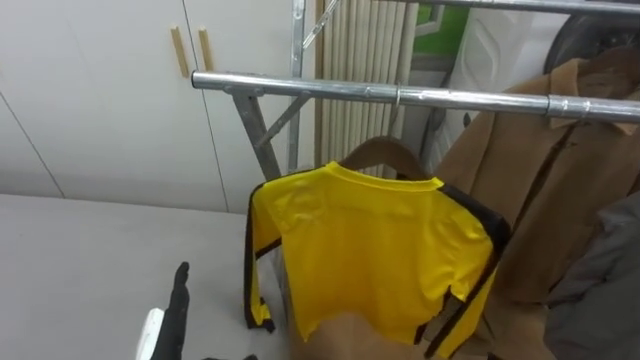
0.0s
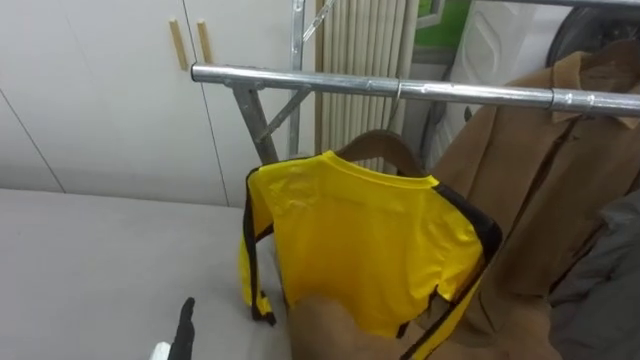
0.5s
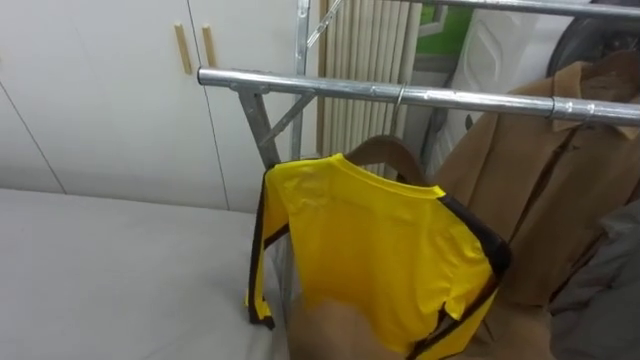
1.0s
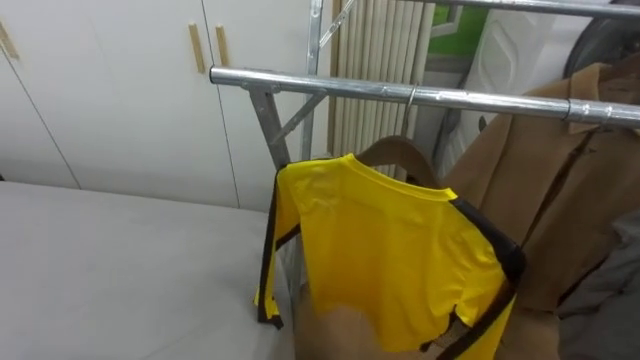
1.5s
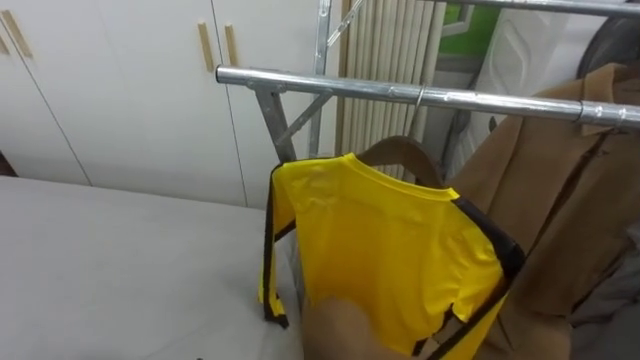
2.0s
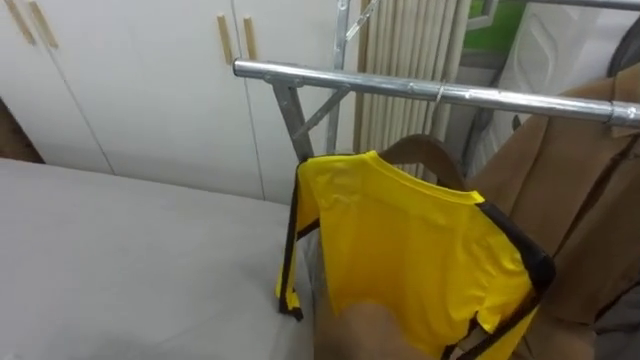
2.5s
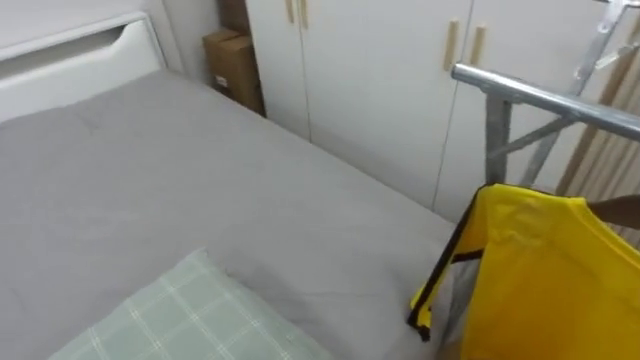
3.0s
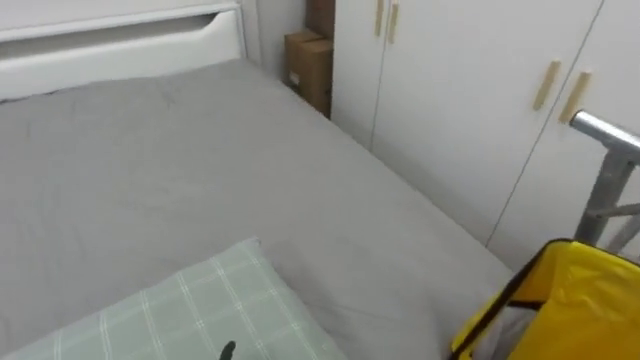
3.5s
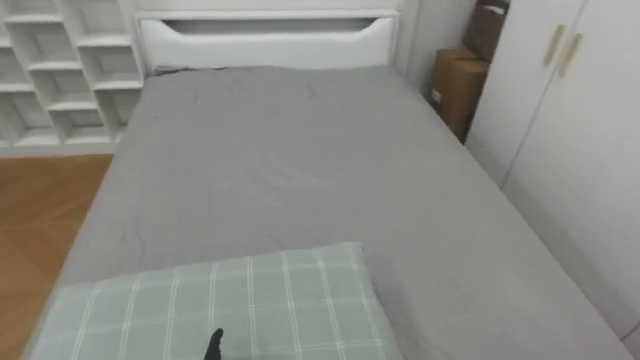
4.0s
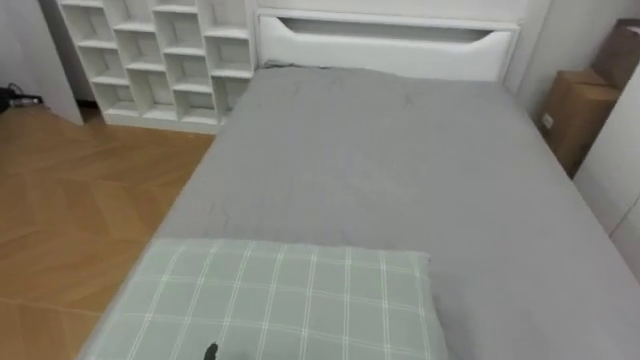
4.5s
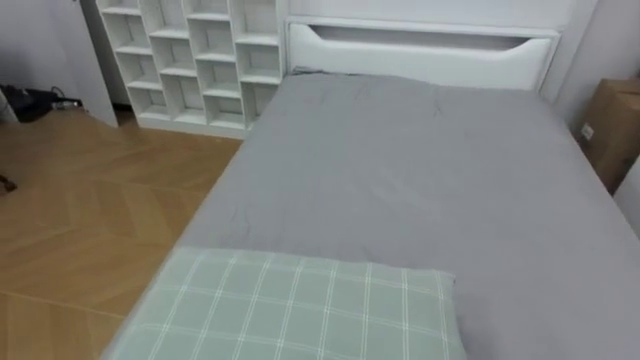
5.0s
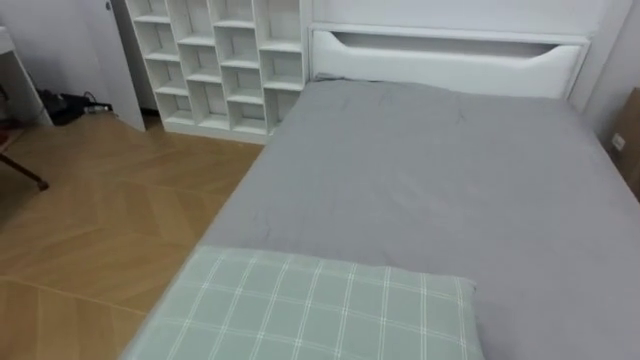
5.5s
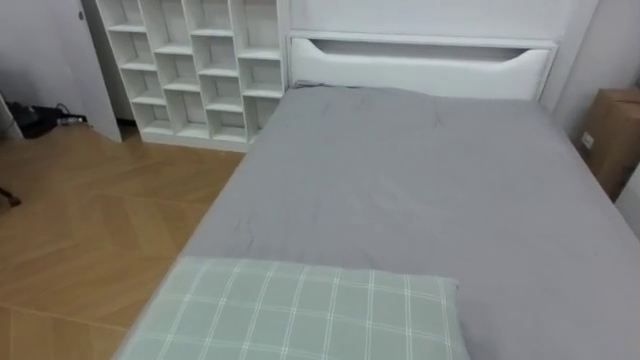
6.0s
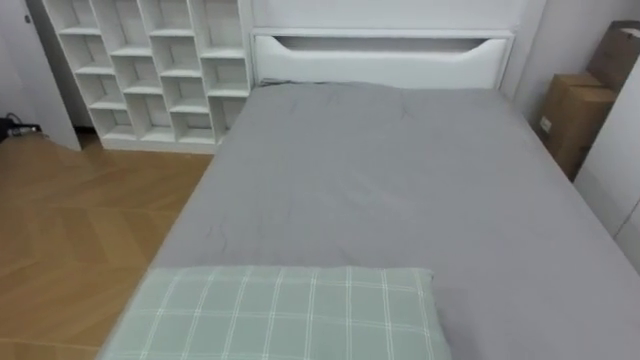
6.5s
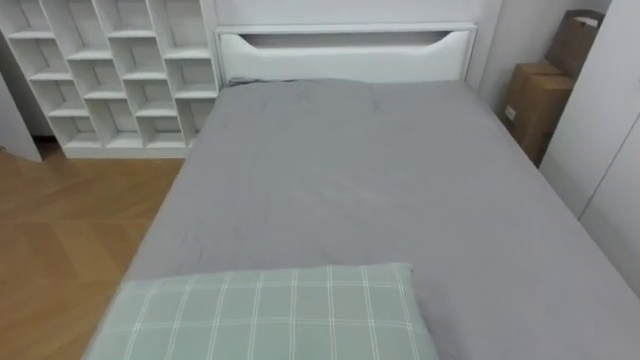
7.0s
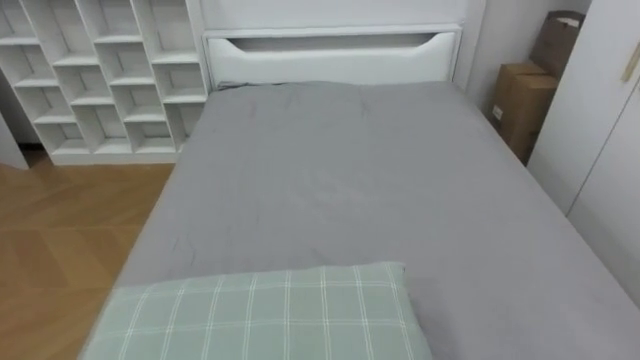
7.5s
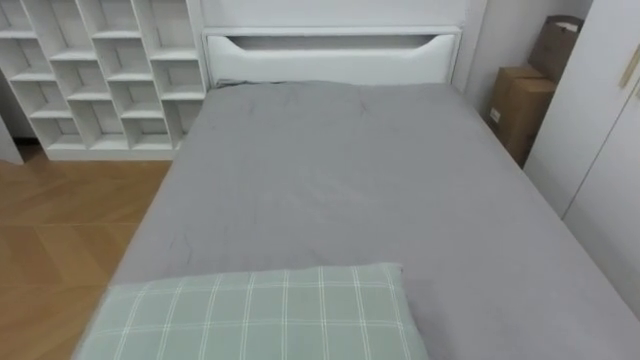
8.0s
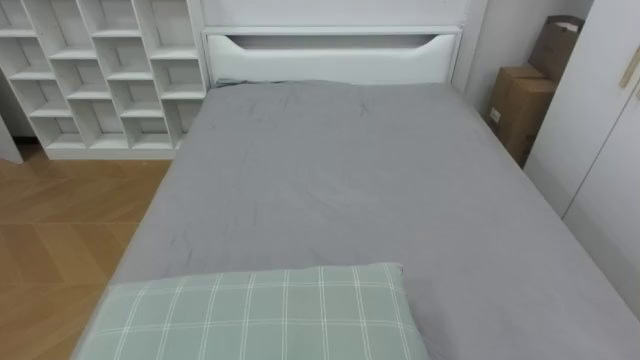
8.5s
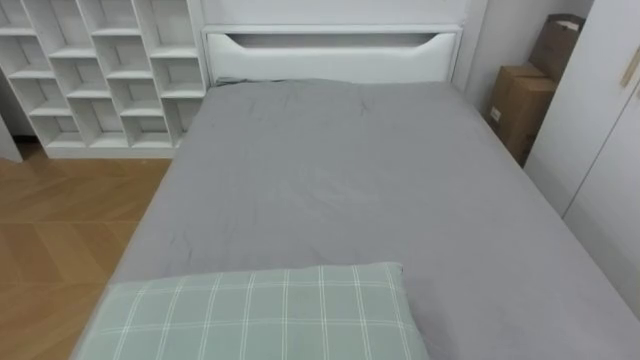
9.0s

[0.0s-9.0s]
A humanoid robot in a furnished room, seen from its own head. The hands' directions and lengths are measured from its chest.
Task of the whole recording: Pick up the yellow shirt on the bed and hang it on the clothes rack on the right.
2.0s to 4.5s: The robot turns to its left by roughly 90 degrees.

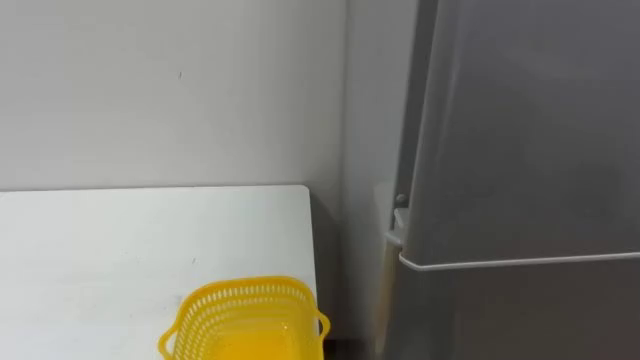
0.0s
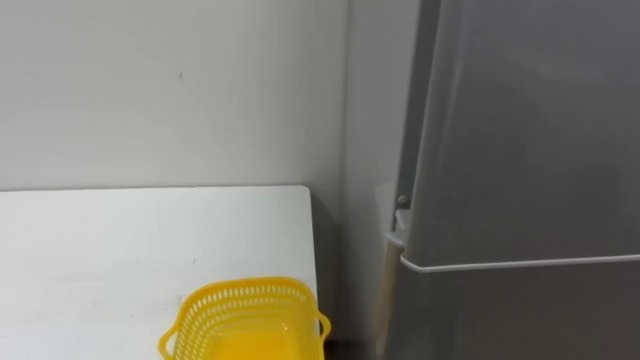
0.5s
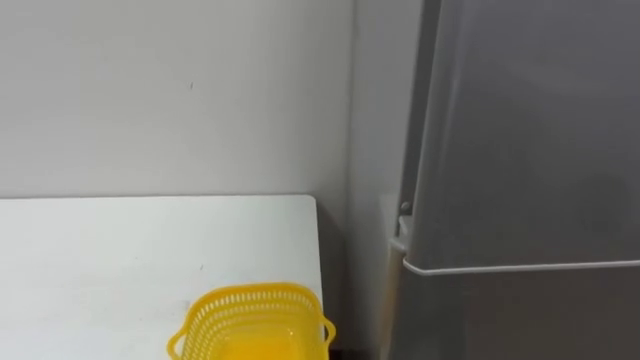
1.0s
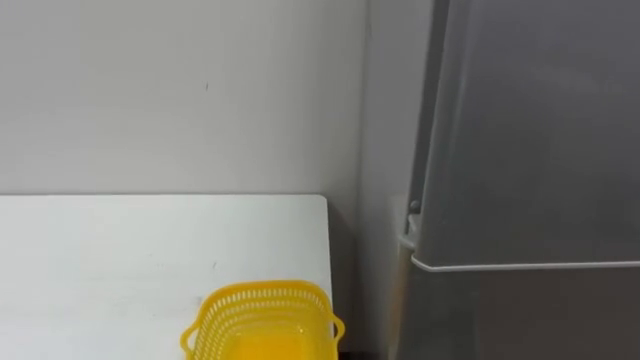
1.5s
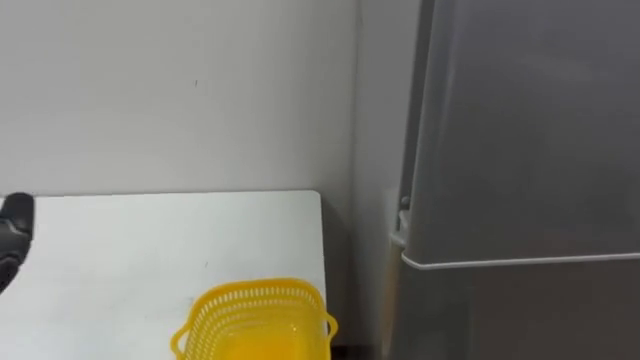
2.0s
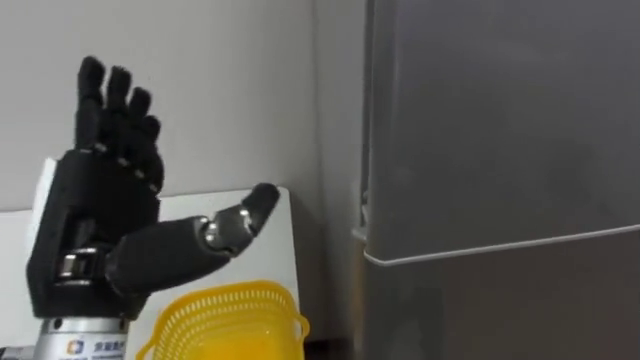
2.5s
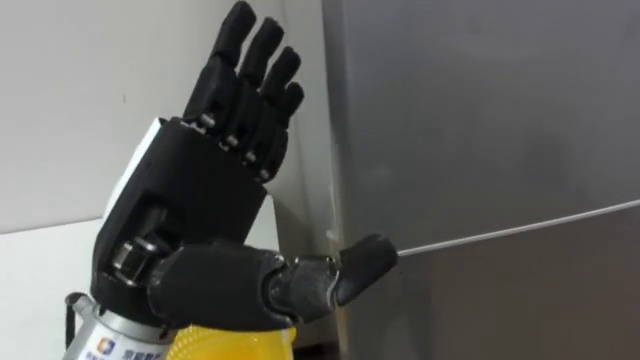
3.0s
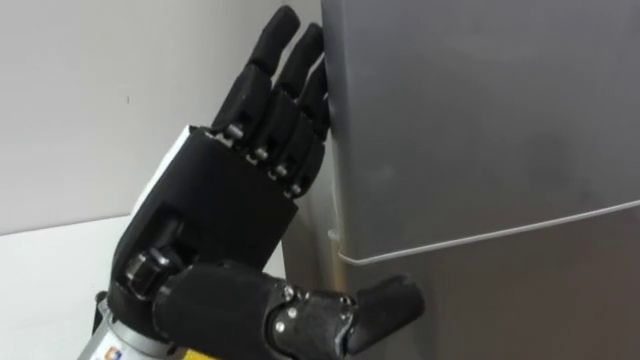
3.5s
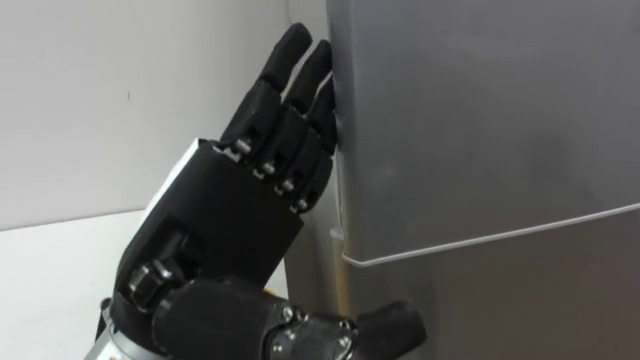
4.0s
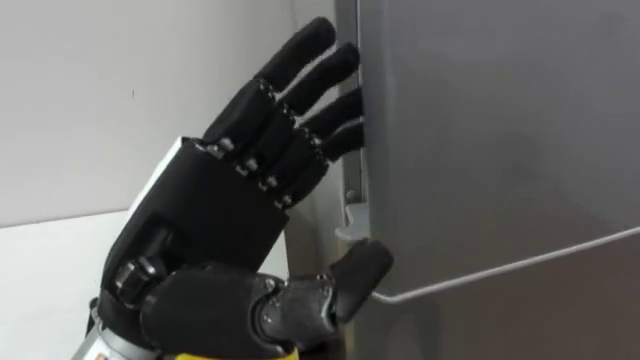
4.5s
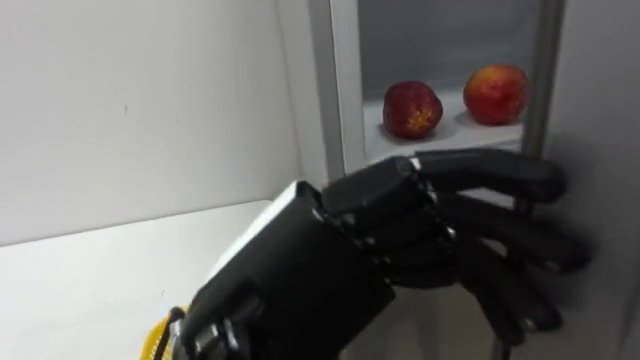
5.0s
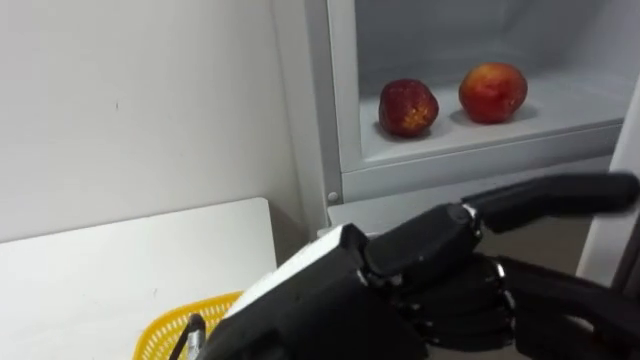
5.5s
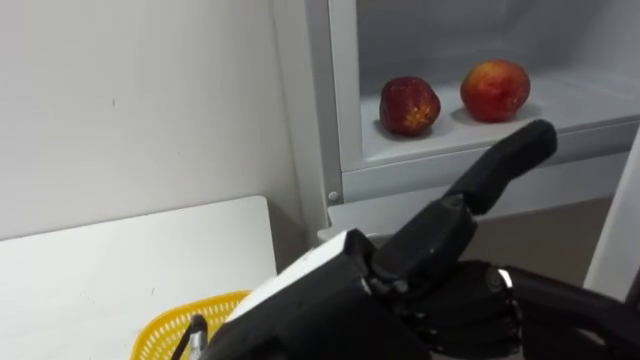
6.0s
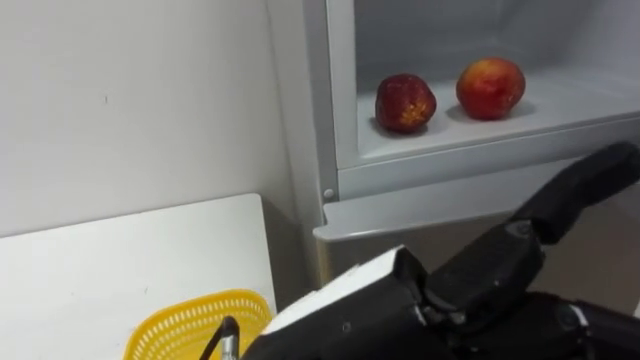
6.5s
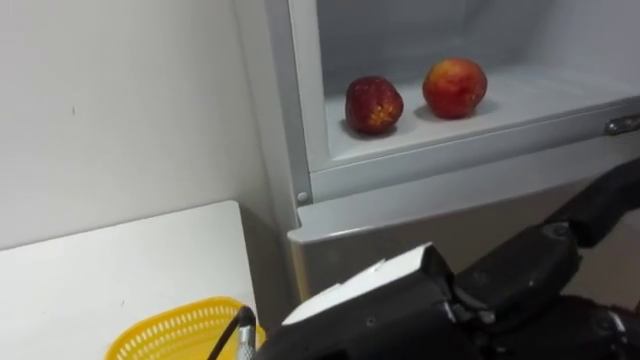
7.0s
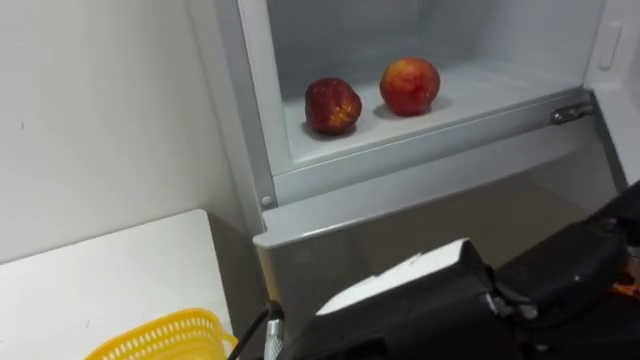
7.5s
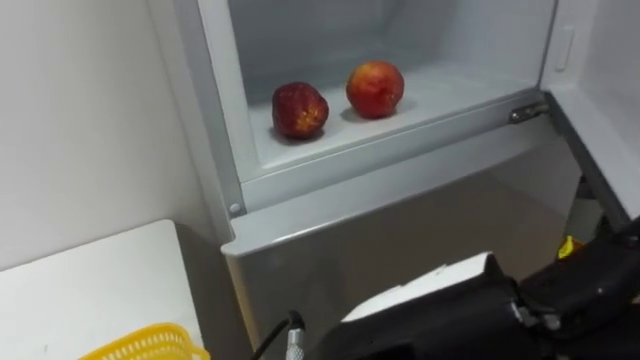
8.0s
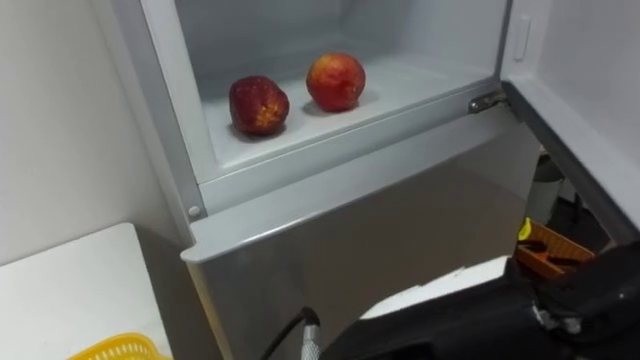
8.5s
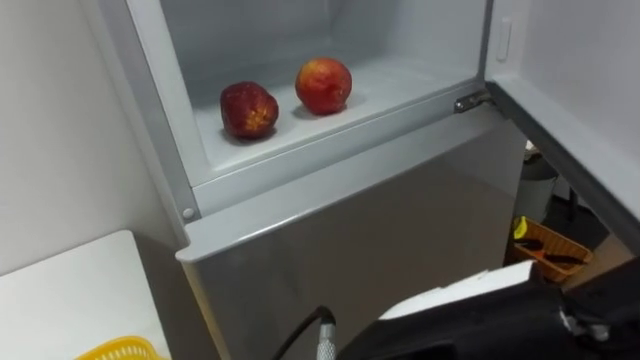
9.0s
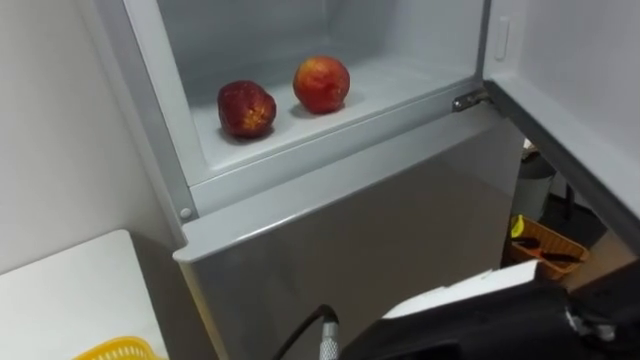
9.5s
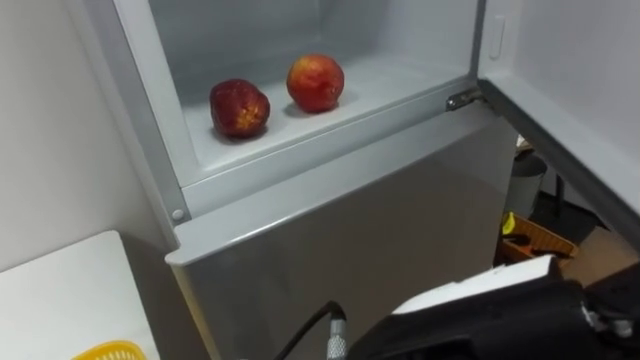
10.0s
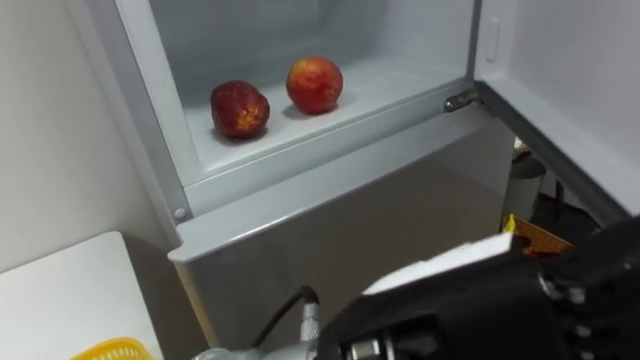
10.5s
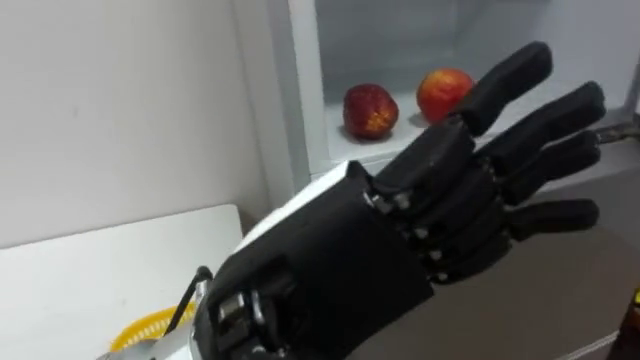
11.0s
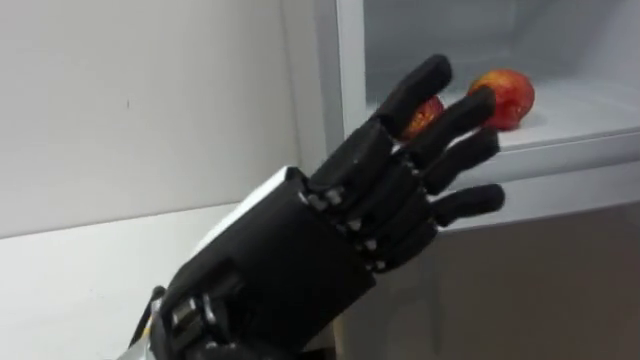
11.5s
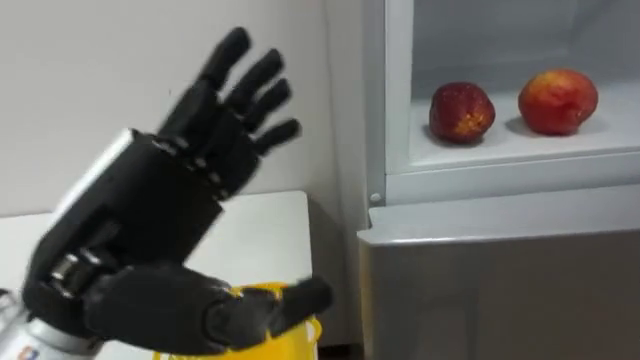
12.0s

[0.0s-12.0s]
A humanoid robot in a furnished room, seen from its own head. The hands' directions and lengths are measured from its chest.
Task of the whole recording: Open the refrigerator door, take out the apple and the pomegranate, place them in the fruit basket on the left, and close the refrigerator door.
4.0s to 6.0s: The left hand goes approximately 10 cm to the right and backward.
6.0s to 8.0s: The left hand goes roughly 5 cm to the right.
10.0s to 12.0s: The left hand is displaced to the left and forward by some 20 cm.
